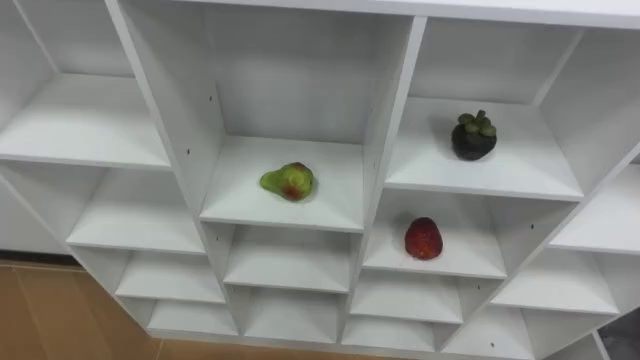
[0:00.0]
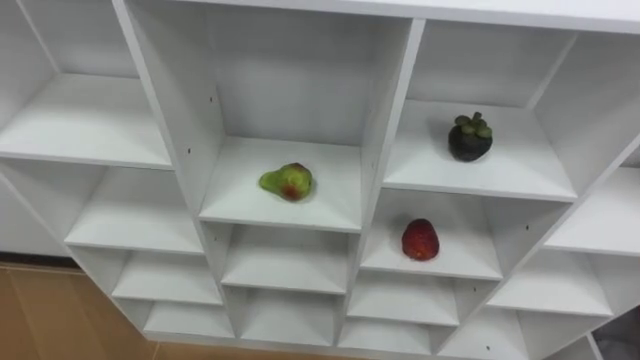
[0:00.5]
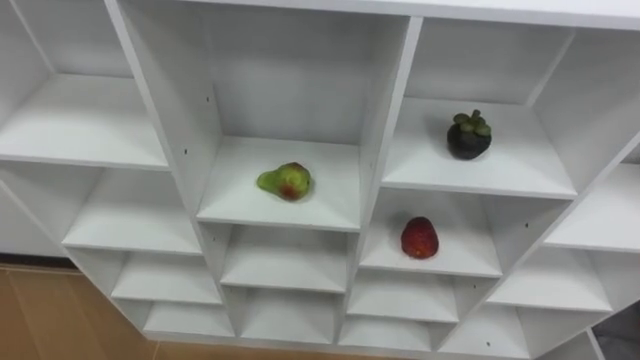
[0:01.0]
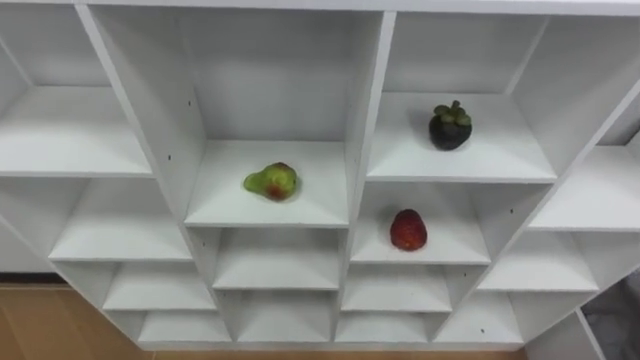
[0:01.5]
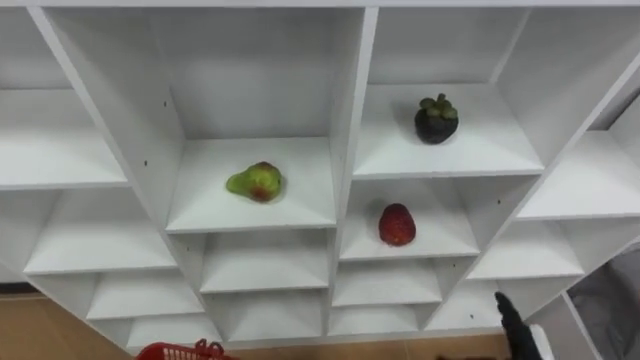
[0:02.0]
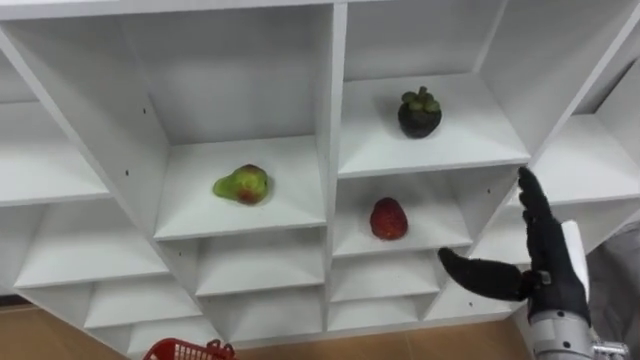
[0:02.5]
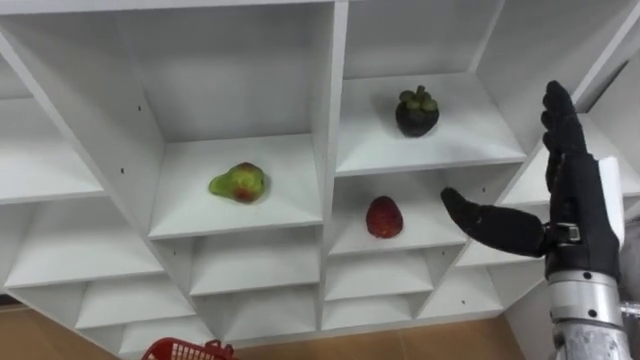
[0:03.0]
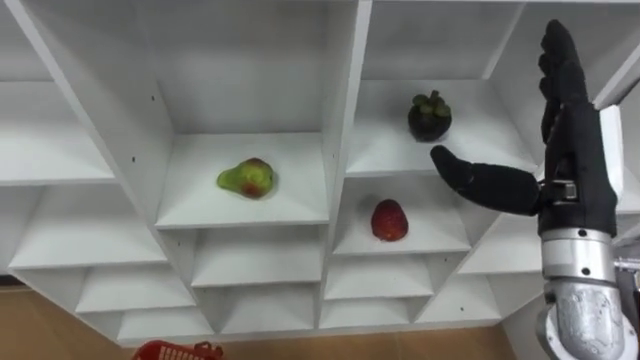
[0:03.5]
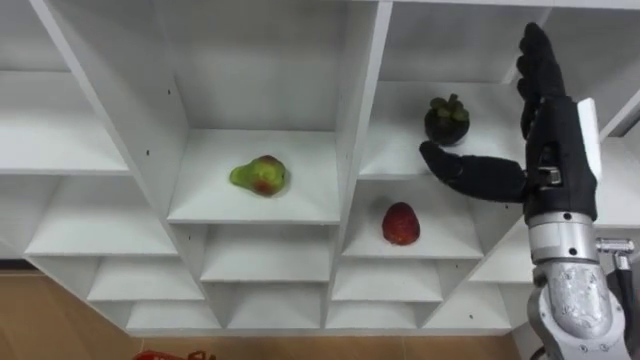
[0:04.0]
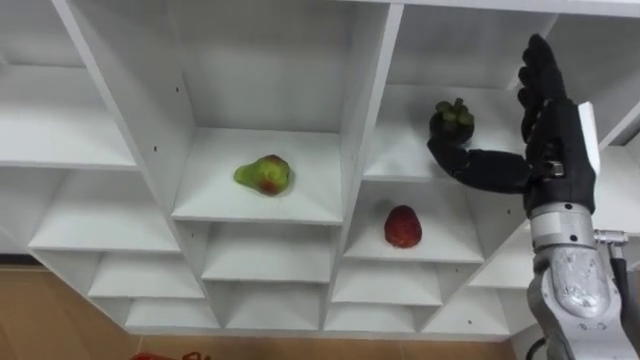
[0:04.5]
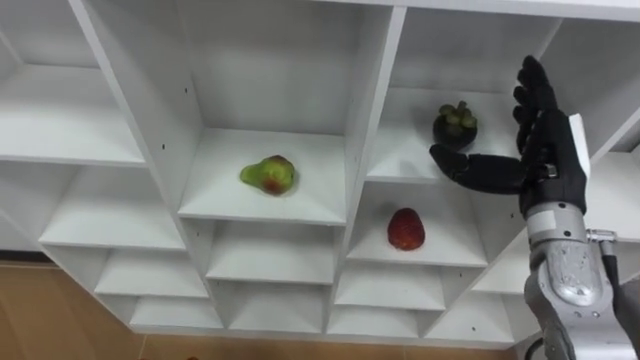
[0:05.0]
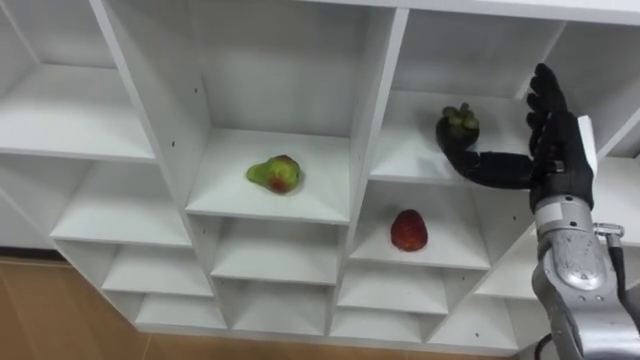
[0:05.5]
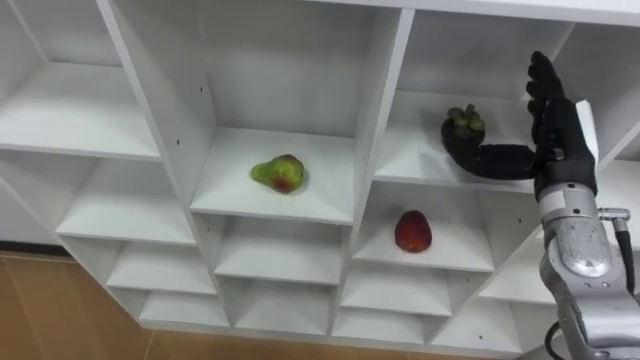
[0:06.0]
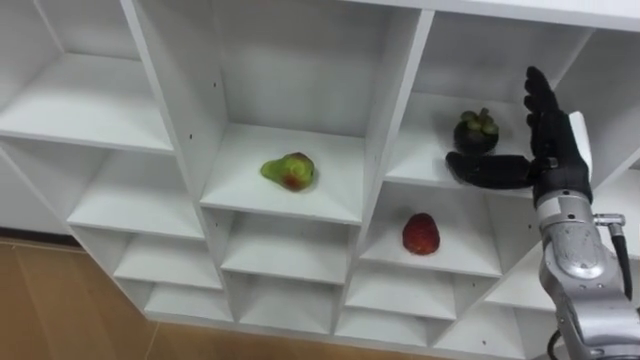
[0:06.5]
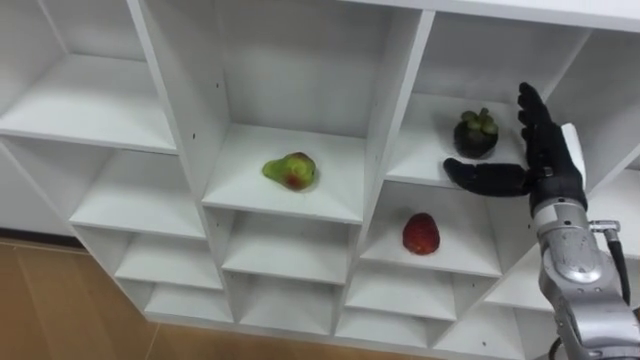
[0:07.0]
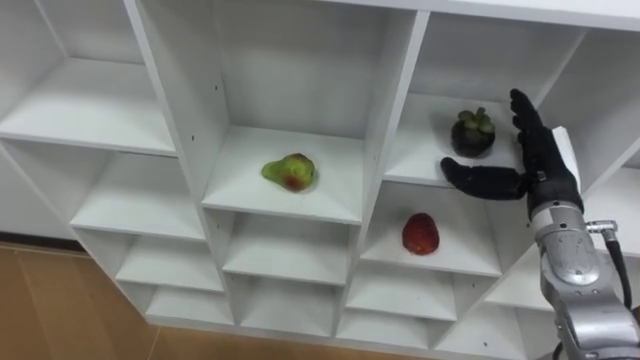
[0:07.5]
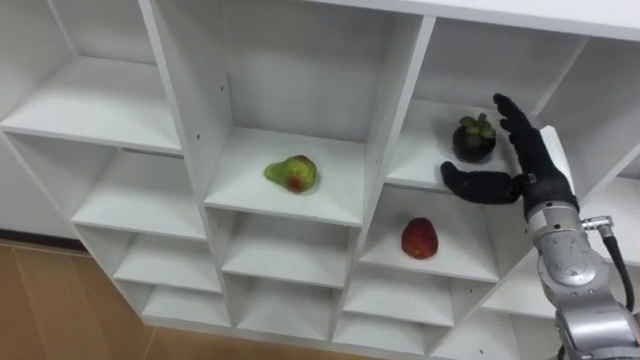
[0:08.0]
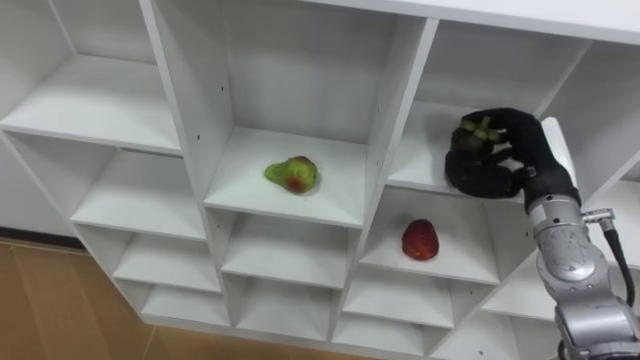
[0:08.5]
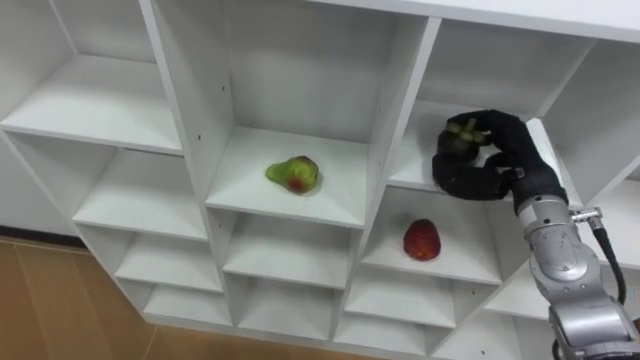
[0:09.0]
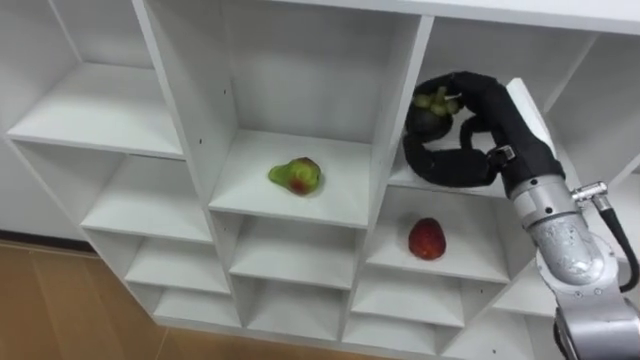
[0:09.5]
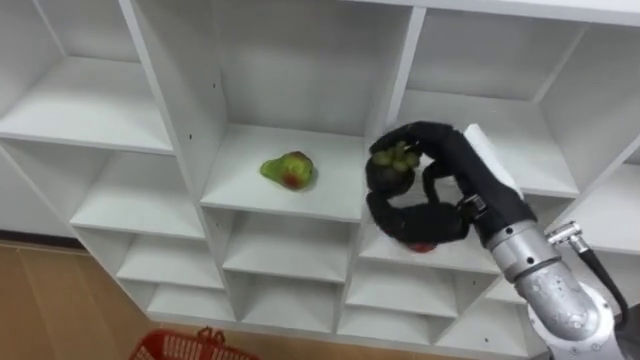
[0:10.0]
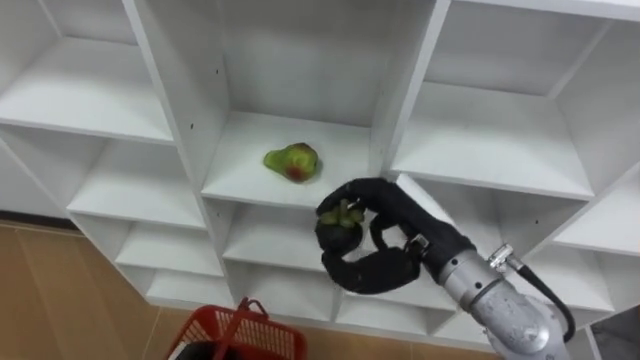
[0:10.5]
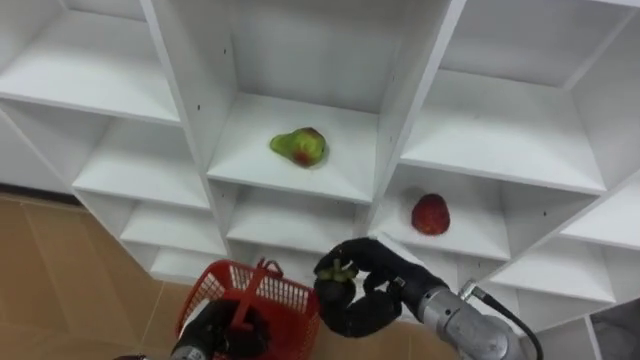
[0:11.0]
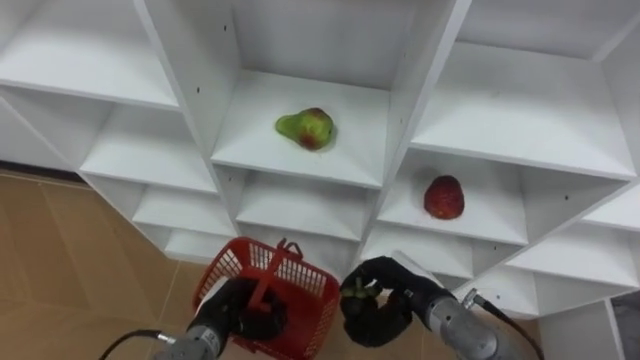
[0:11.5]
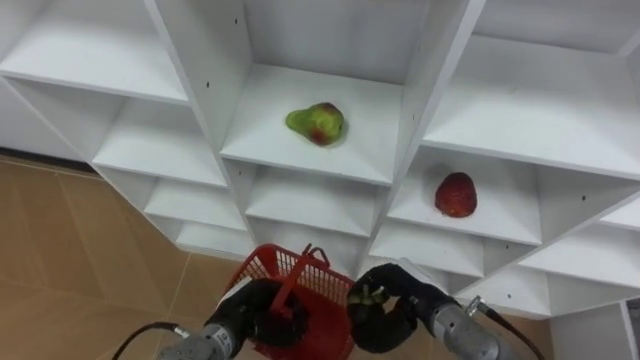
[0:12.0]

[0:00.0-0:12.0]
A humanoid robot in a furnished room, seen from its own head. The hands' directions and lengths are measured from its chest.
Task of the whole recording: Hold the basket and collect the fruits from 3 different cells of the closet into it.
0:04.0 to 0:06.0: The right hand travels forward and downward by some 5 cm.
0:08.0 to 0:10.0: The right hand moves to the left, upward and backward, some 10 cm, and closes up.
0:10.0 to 0:12.0: The right hand goes approximately 20 cm downward.

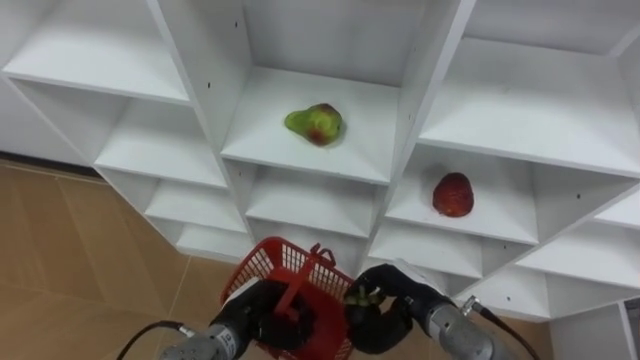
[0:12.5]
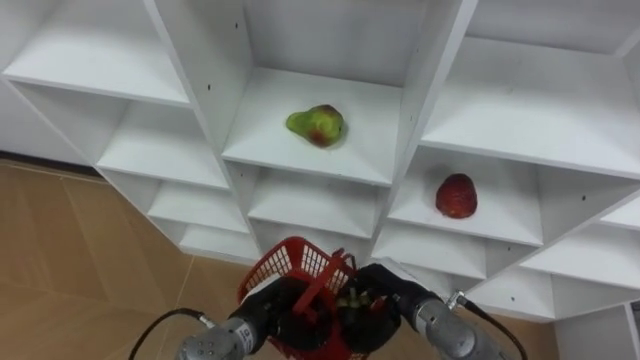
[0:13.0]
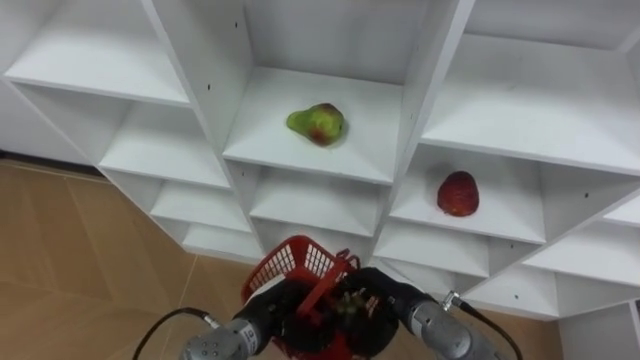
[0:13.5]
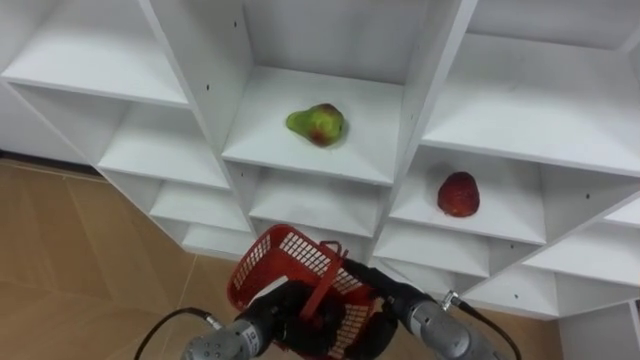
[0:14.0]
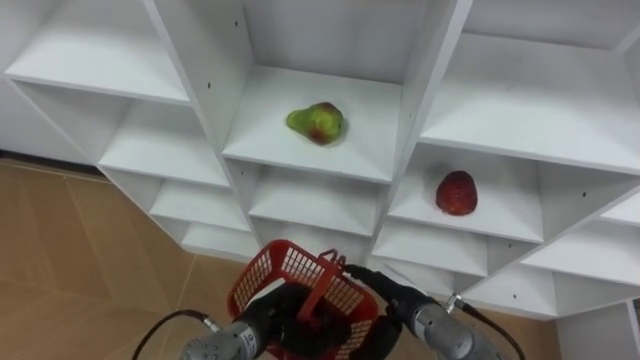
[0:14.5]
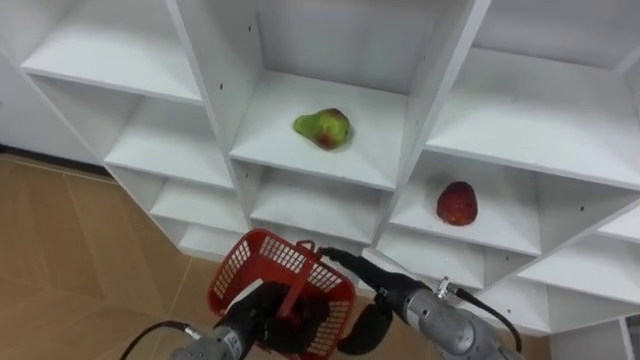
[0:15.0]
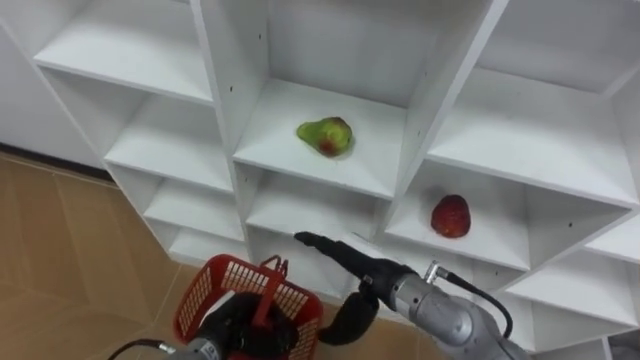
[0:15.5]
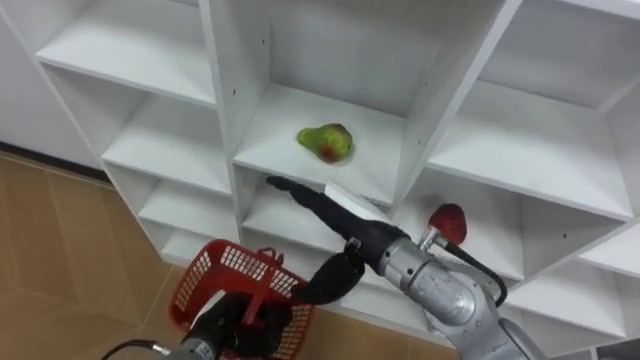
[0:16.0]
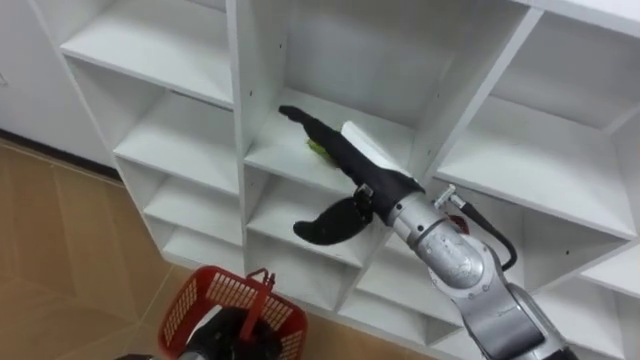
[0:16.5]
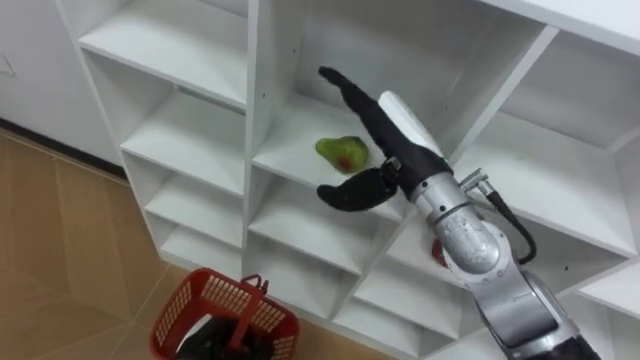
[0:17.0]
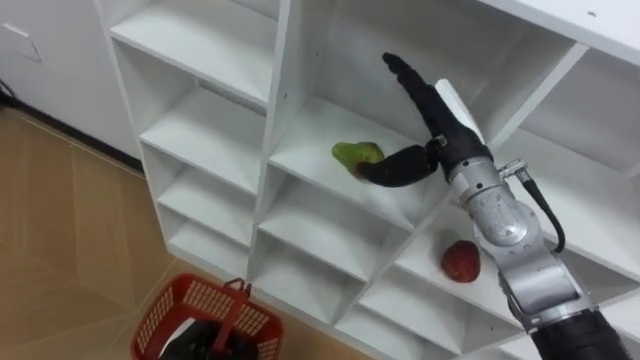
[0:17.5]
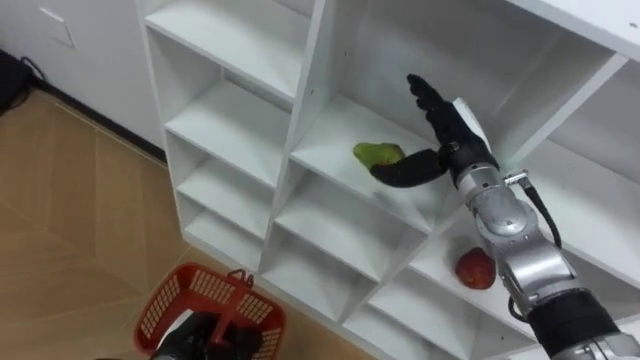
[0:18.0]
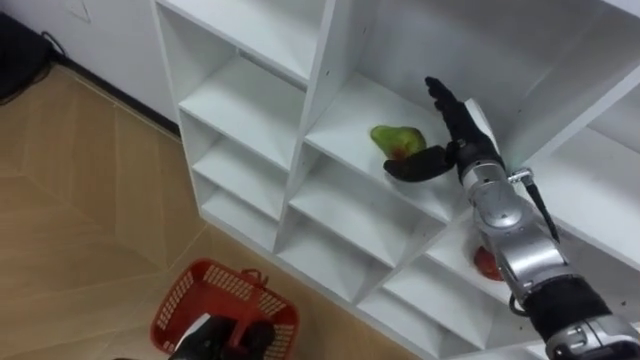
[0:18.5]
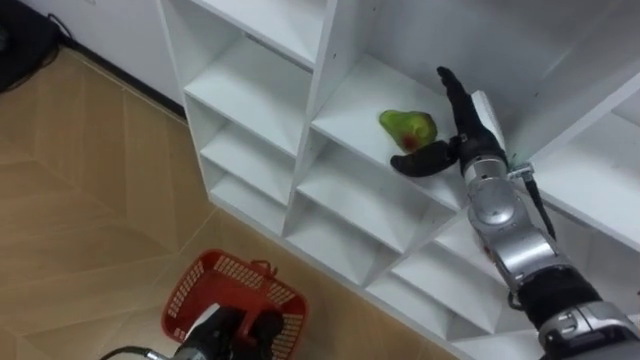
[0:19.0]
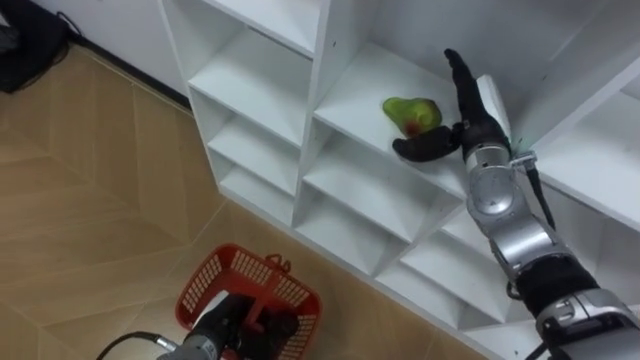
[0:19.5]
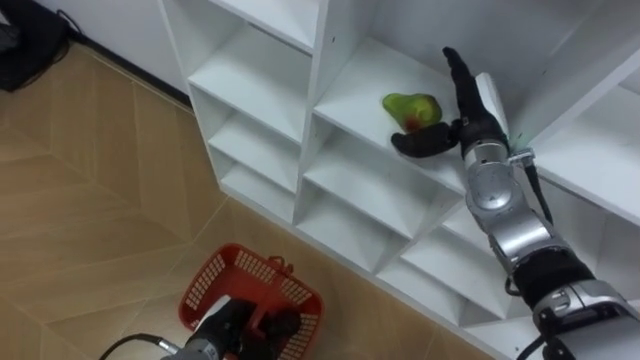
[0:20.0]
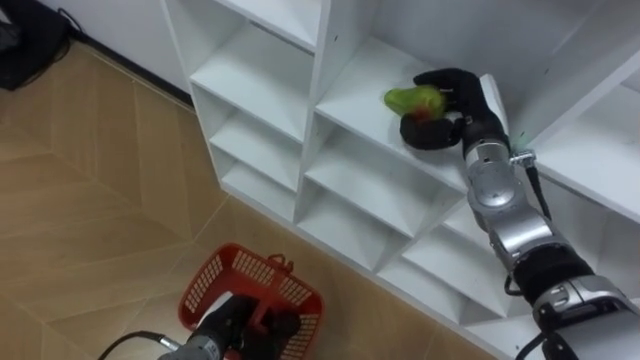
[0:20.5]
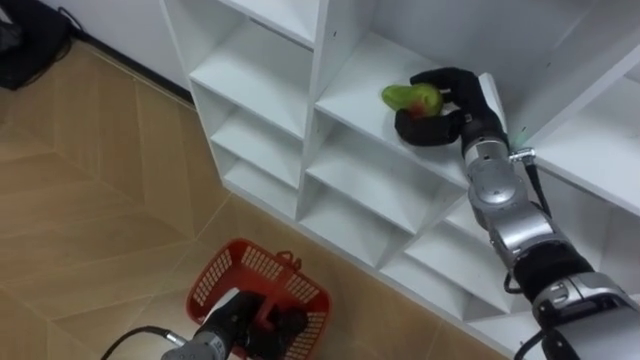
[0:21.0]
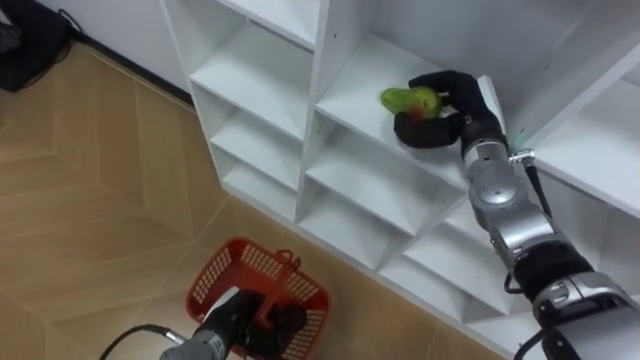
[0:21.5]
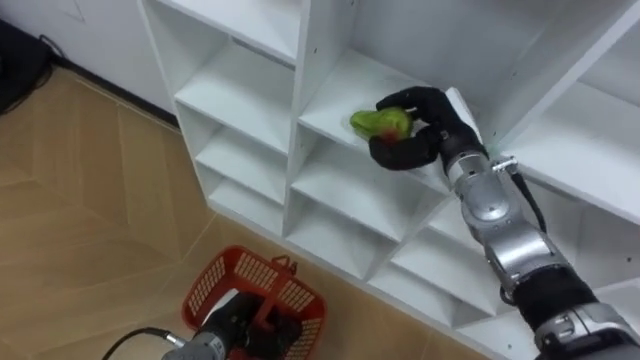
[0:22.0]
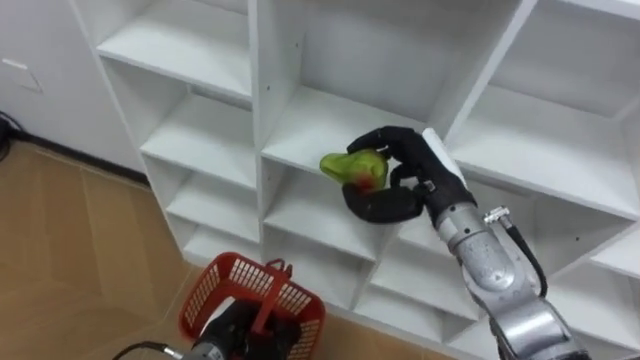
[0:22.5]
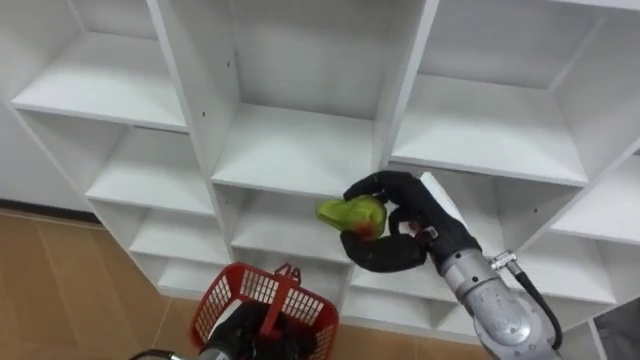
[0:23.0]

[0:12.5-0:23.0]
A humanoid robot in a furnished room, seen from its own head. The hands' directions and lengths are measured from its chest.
Task of the whole recording: Hold the basket and collect the fruits from 3 different cells of the closet into it.
0:12.5 to 0:14.5: The right hand opens.
0:14.5 to 0:16.5: The right hand heads upward, covering some 20 cm; the left hand shifts about 10 cm to the left.
0:16.5 to 0:19.0: The right hand is displaced to the right and forward by roughly 15 cm.
0:19.0 to 0:21.0: The right hand closes its fingers.
0:21.0 to 0:23.0: The right hand is displaced backward and to the left by roughly 15 cm.
